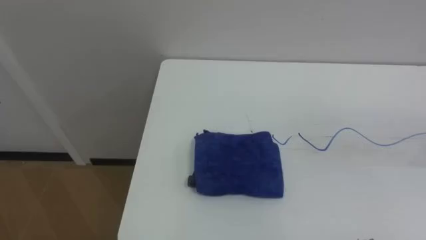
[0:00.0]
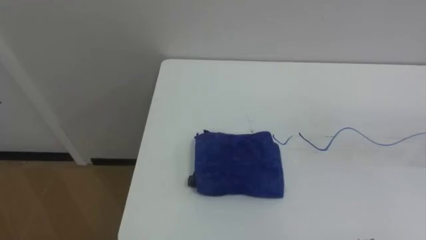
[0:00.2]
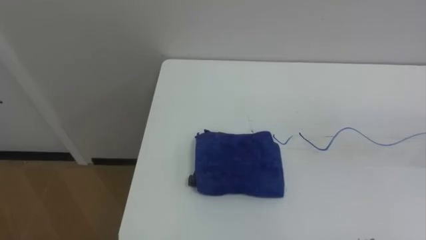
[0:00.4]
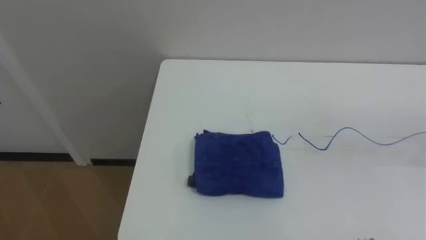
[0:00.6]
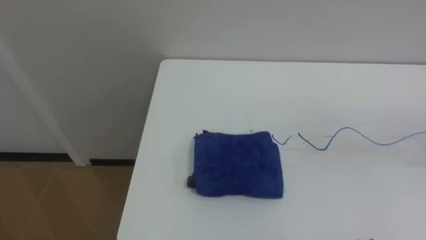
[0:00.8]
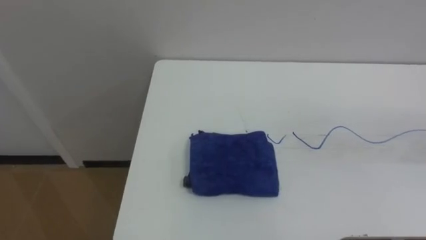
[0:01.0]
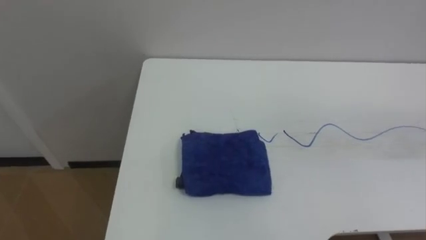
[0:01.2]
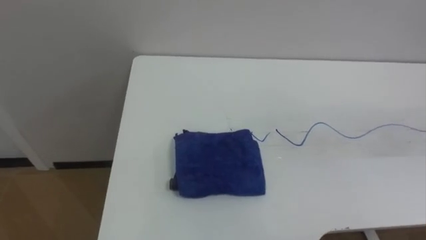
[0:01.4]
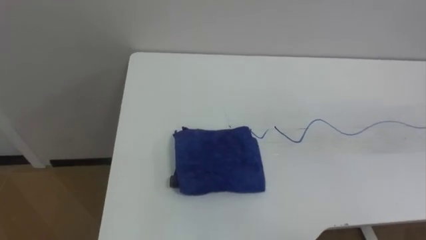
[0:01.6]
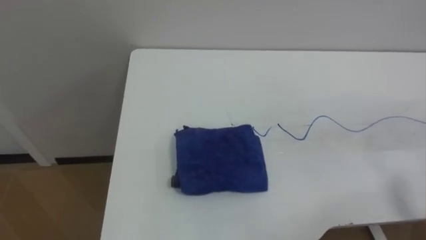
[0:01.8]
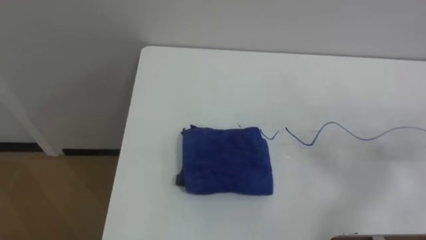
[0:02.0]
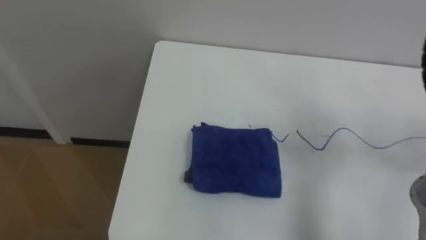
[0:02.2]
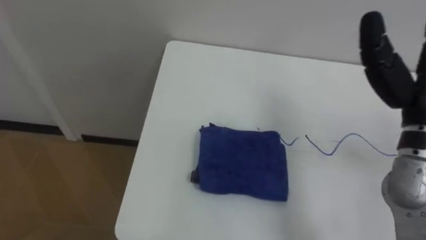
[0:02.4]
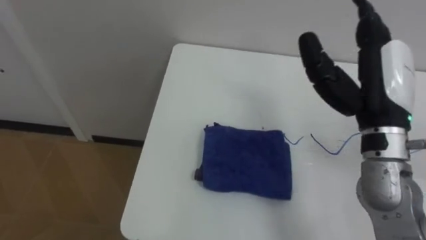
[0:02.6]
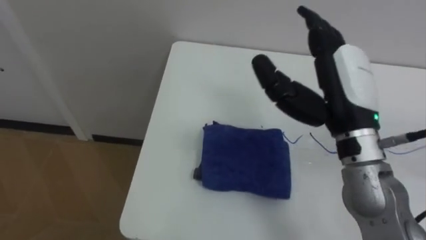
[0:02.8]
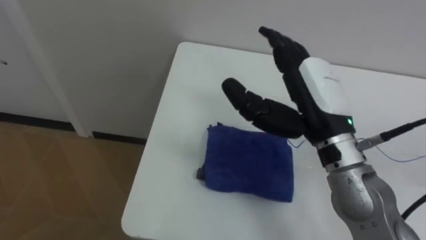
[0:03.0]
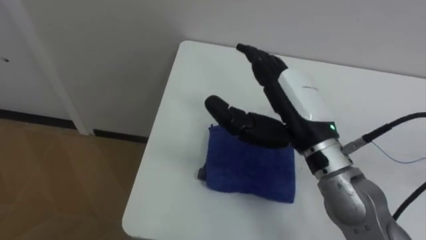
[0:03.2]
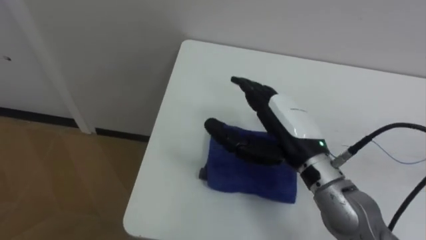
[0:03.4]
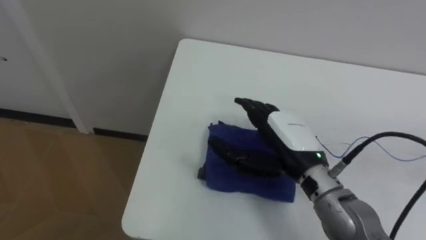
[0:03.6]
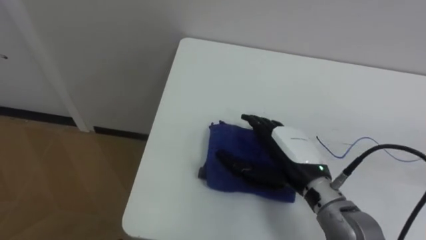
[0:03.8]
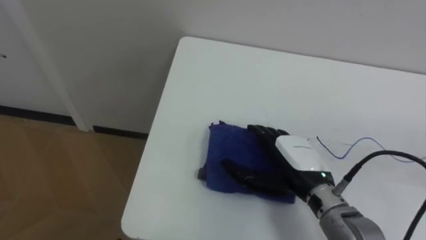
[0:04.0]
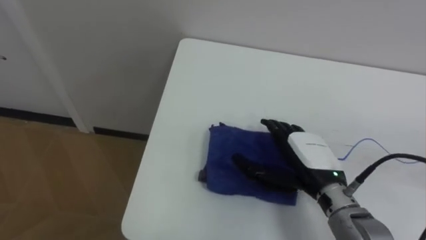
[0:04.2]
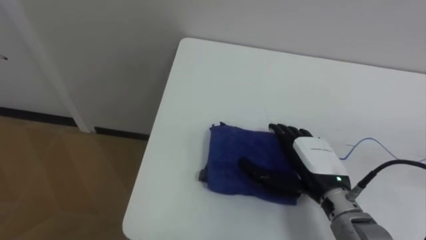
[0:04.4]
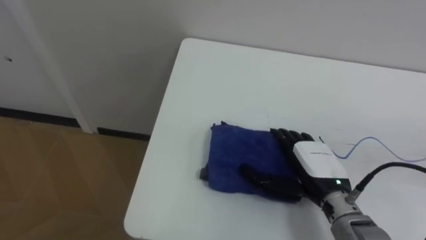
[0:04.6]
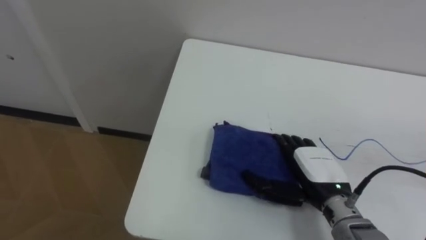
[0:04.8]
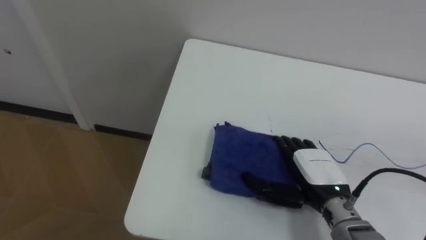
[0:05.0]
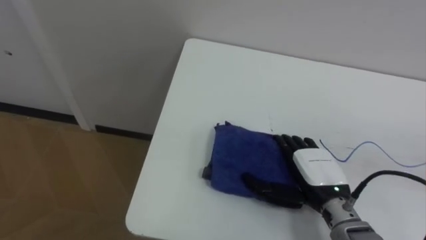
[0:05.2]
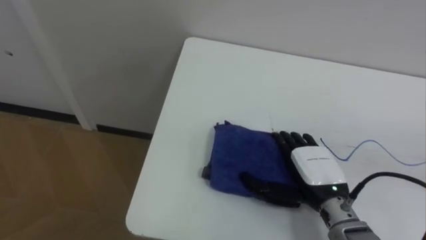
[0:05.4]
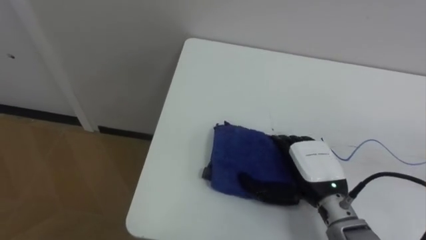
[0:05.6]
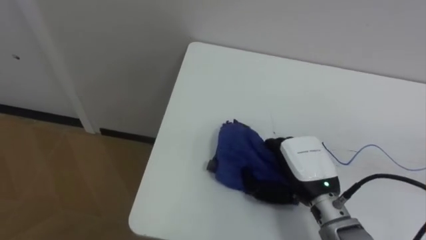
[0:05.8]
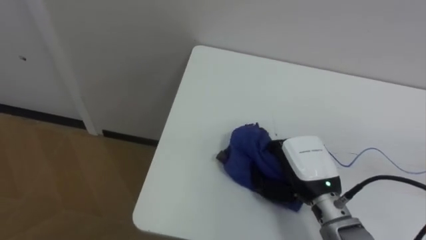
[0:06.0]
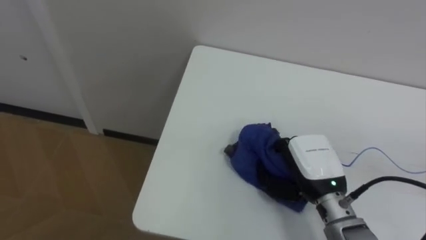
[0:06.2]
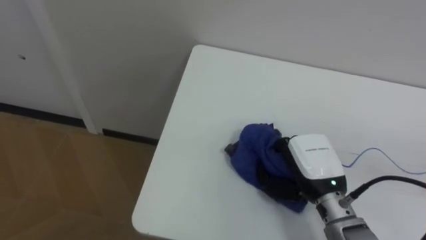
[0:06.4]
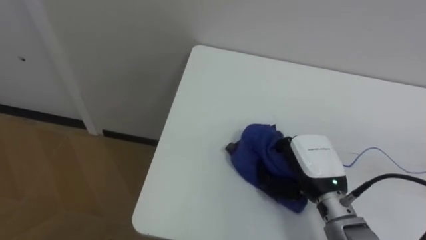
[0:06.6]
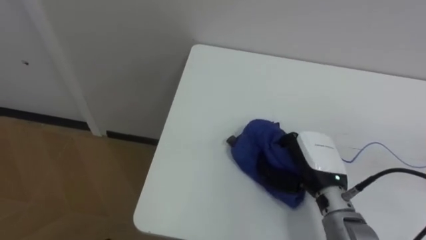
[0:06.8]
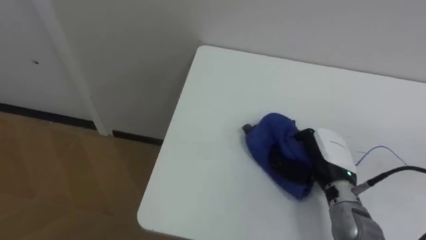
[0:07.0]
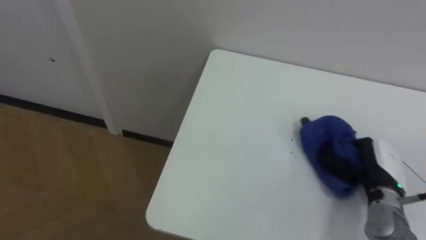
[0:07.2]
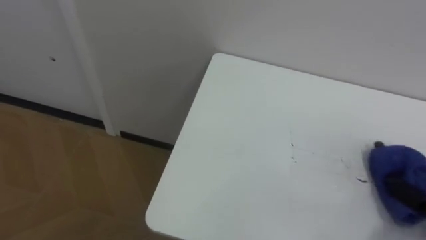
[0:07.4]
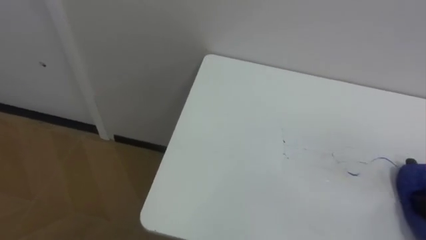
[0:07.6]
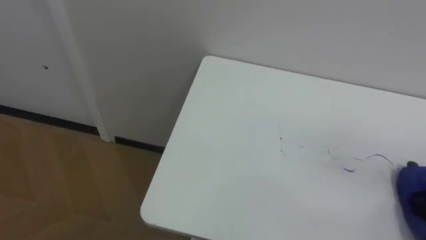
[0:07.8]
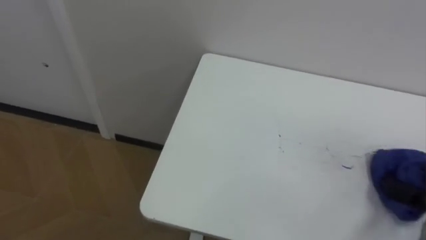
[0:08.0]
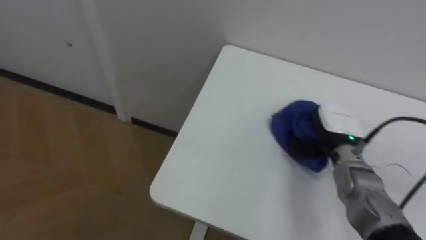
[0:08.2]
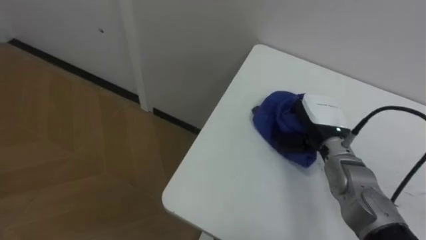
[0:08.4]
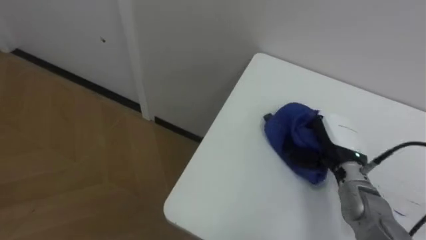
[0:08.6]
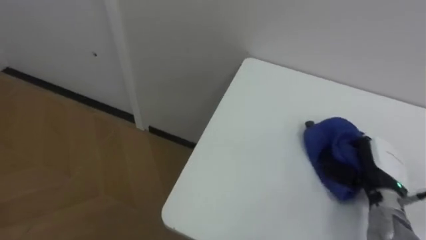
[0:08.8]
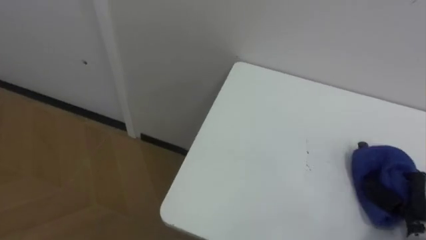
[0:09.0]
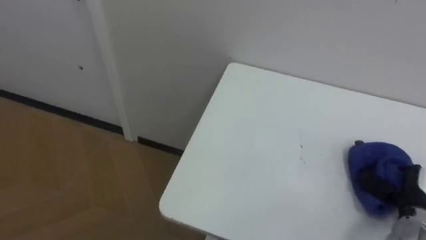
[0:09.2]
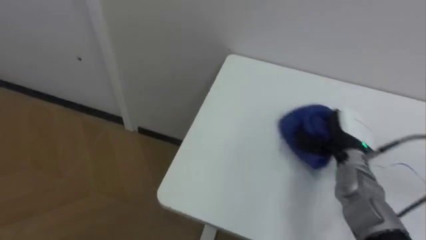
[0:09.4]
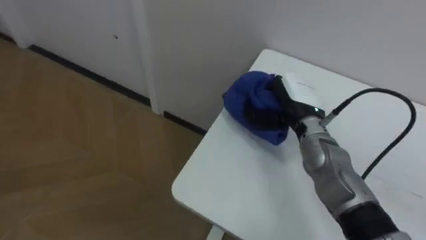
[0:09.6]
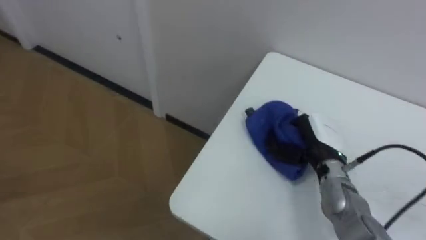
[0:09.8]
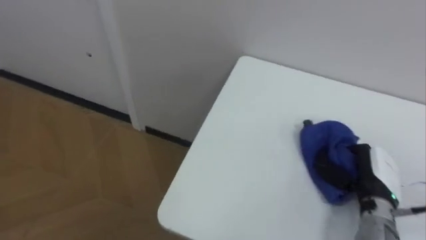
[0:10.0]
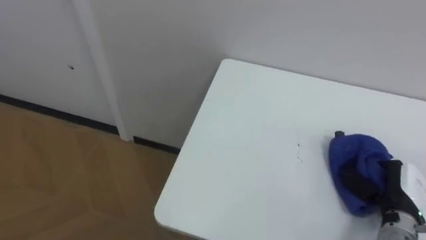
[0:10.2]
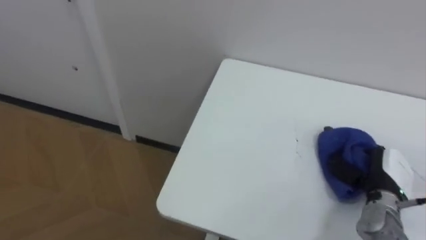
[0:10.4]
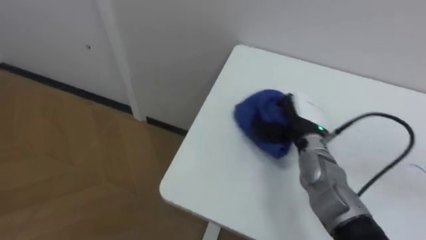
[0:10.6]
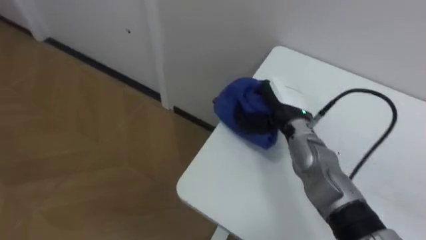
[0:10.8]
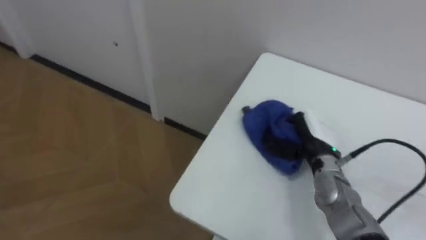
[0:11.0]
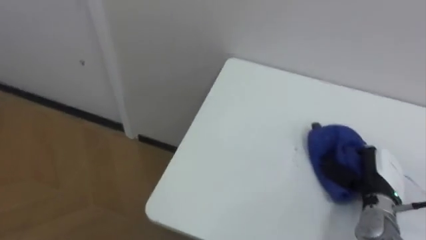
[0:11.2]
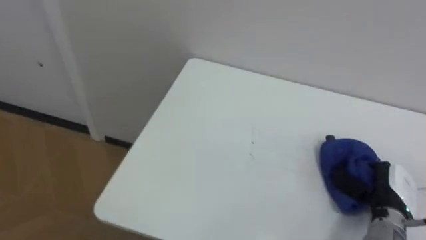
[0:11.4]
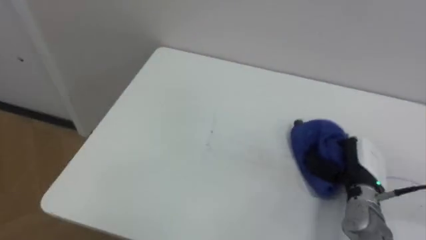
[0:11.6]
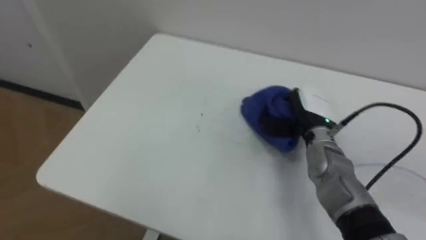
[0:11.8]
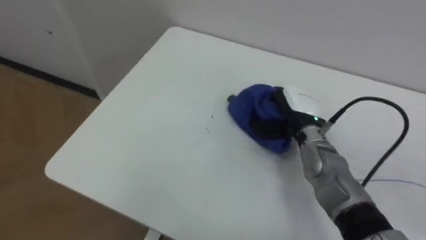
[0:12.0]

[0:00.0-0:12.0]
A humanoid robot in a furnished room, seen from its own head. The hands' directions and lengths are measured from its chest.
Task of the whole recording: Wipe the blue pen marks off the table with the rag.
0:03.0 to 0:04.4: The right hand is displaced downward by about 15 cm.
0:04.4 to 0:06.0: The right hand closes its fingers.
0:09.0 to 0:10.4: The right hand is displaced forward by roughly 5 cm, and goes to the left and returns, some 25 cm each way.
0:10.4 to 0:12.0: The right hand swings left and right, roughly 20 cm each way, with 2 reversals.

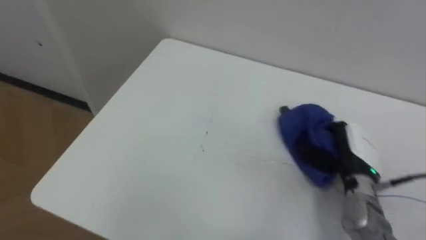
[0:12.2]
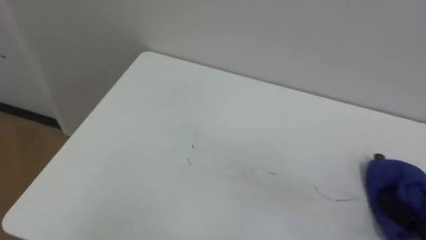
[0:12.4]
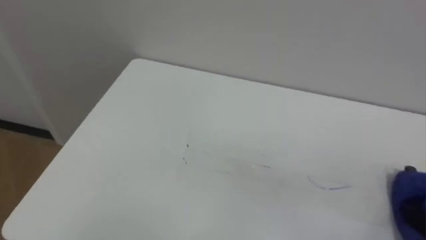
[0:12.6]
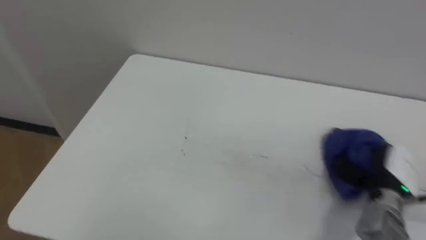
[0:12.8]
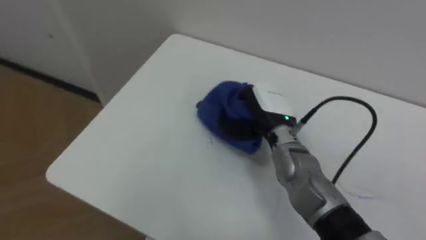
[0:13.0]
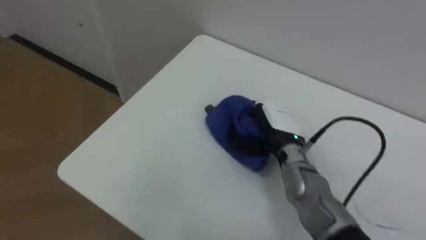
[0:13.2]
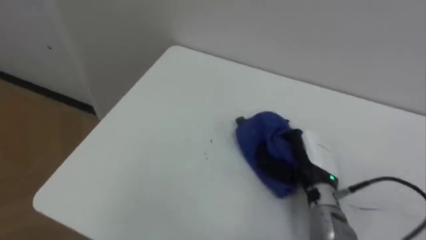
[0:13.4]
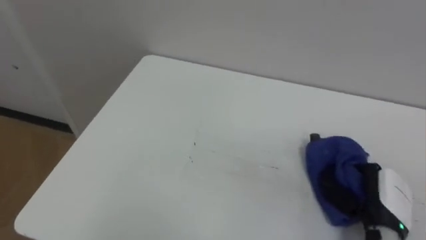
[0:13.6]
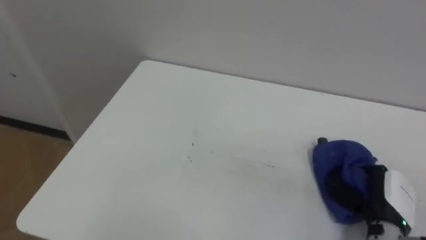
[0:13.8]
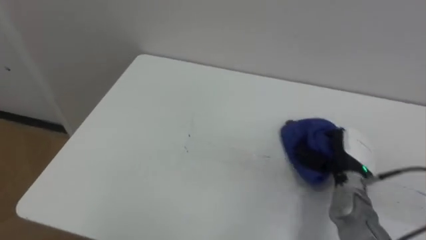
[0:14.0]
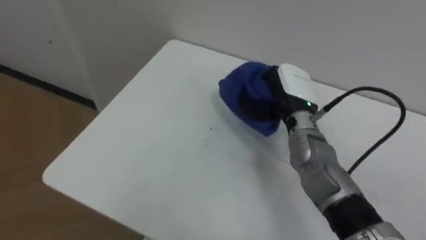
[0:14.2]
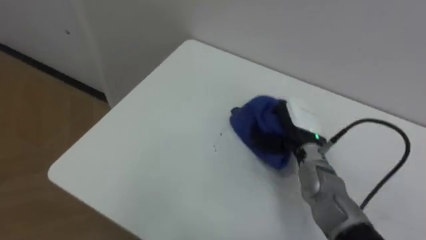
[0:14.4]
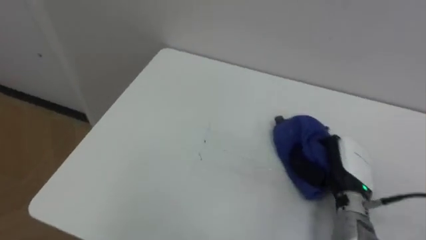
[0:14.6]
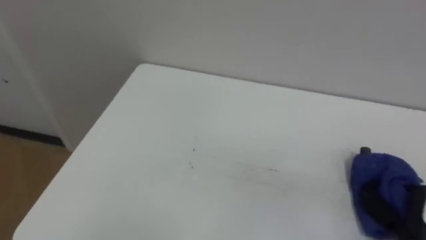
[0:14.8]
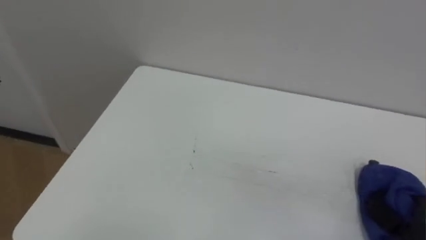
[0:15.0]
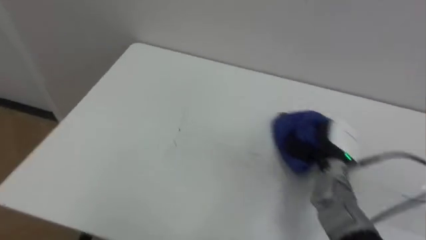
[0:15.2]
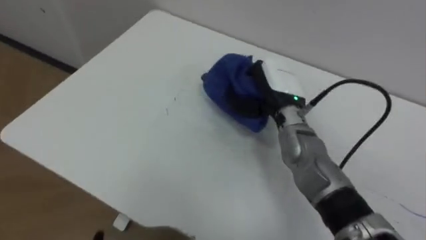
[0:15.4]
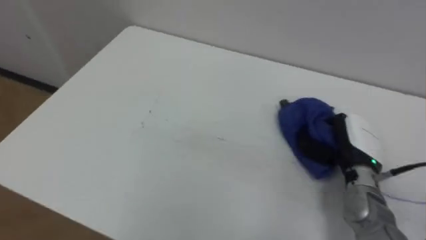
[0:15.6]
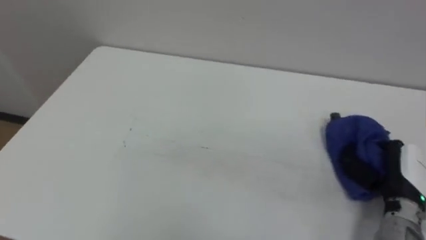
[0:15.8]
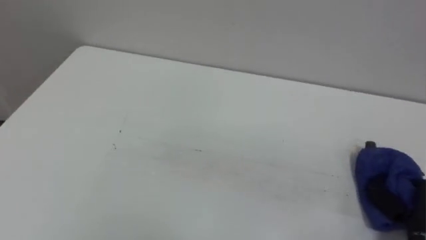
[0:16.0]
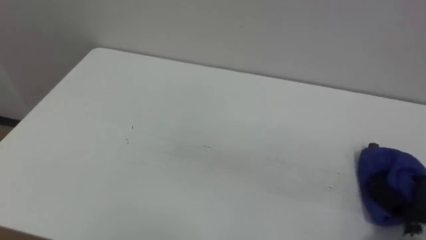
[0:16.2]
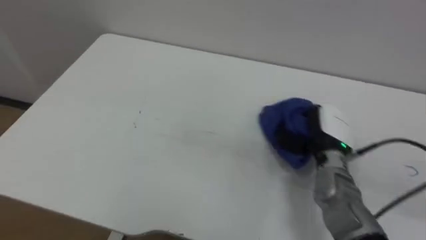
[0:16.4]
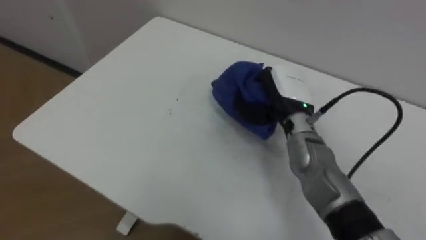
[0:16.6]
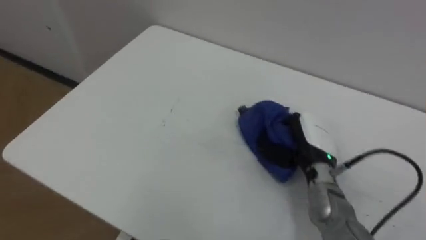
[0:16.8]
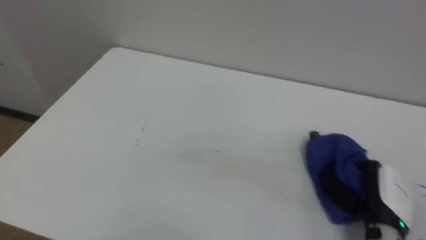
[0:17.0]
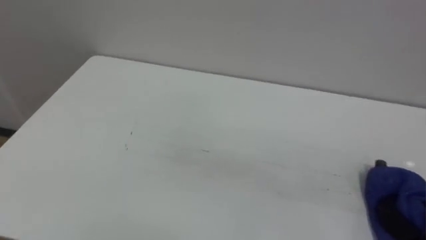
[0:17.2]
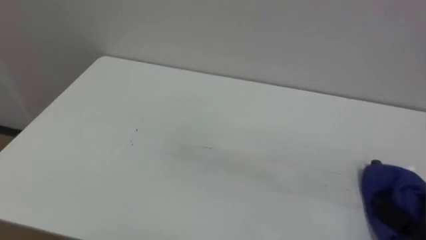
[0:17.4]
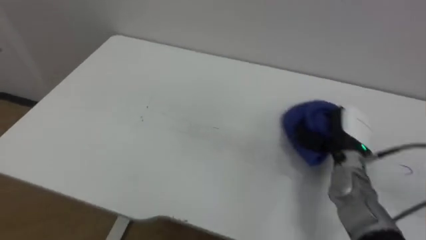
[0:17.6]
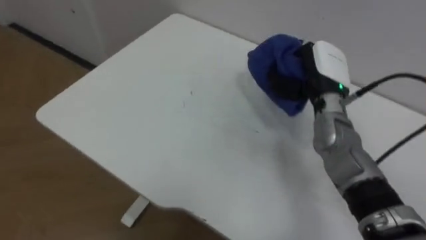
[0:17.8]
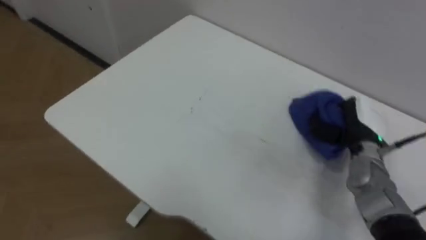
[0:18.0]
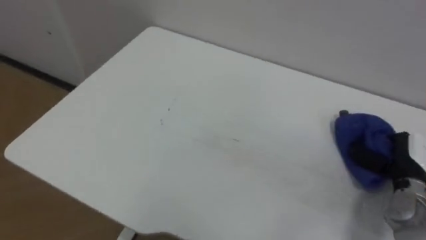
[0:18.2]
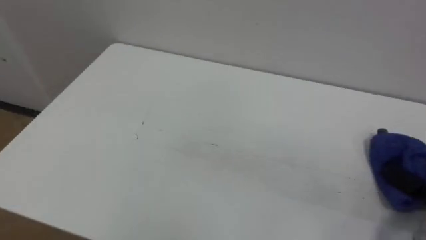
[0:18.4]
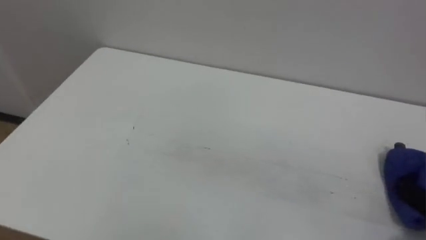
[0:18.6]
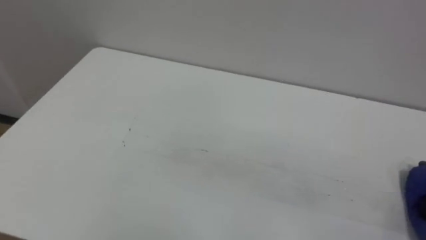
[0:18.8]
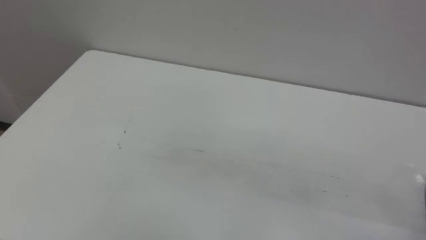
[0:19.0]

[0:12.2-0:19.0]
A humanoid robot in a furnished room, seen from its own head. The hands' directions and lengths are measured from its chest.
Task of the whole recording: Wipe the blue pen marks off the table with the rag.
0:13.6 to 0:15.0: The right hand shifts some 10 cm to the right and backward.
0:15.0 to 0:16.2: The right hand travels to the left and back again, some 25 cm each way.
